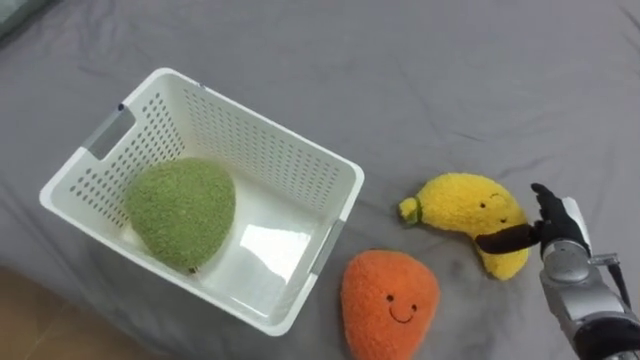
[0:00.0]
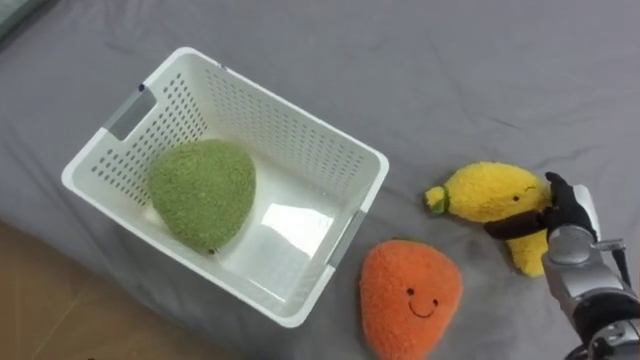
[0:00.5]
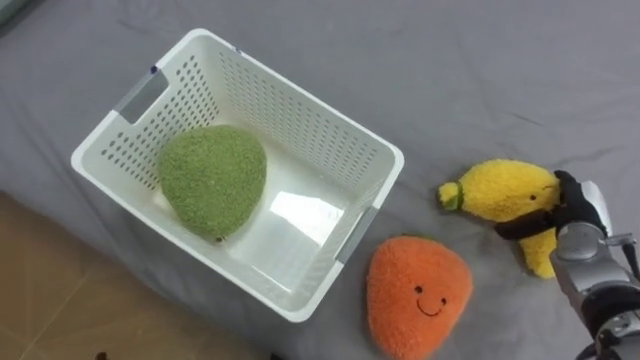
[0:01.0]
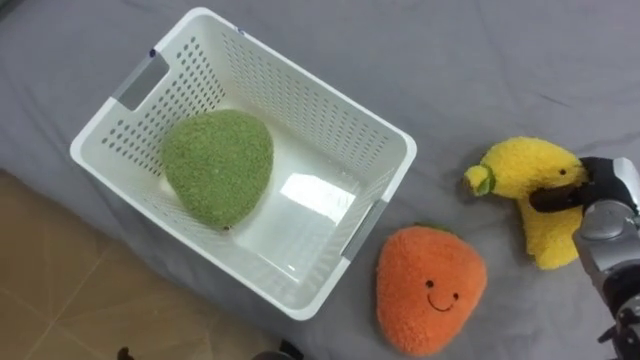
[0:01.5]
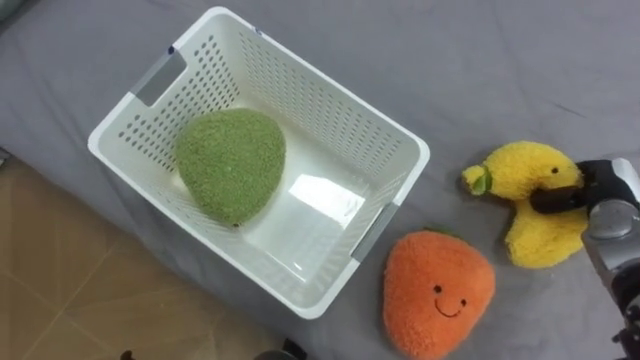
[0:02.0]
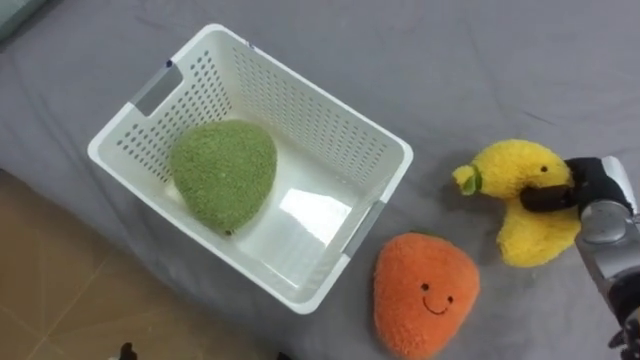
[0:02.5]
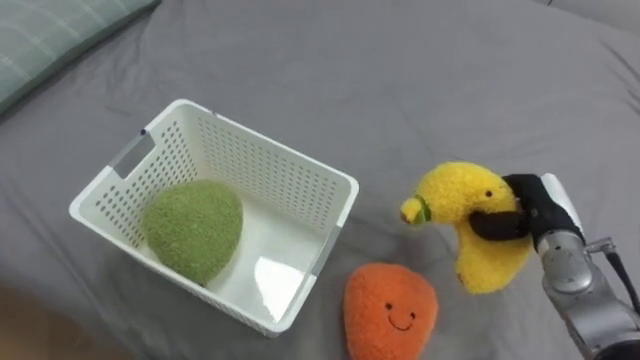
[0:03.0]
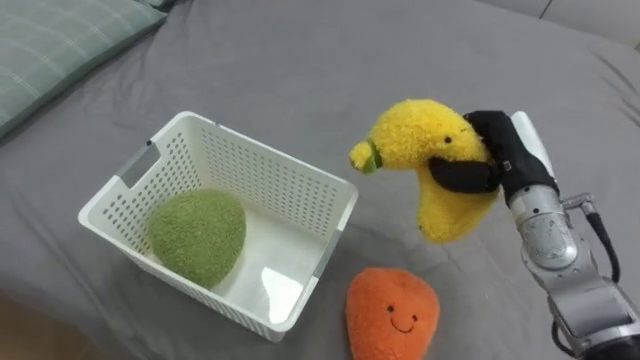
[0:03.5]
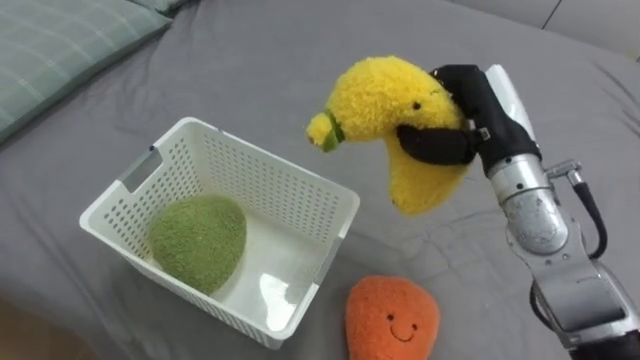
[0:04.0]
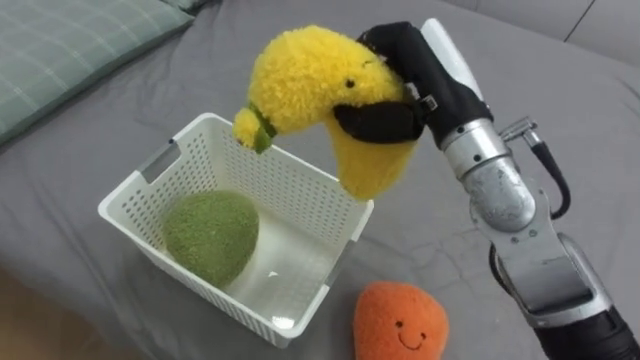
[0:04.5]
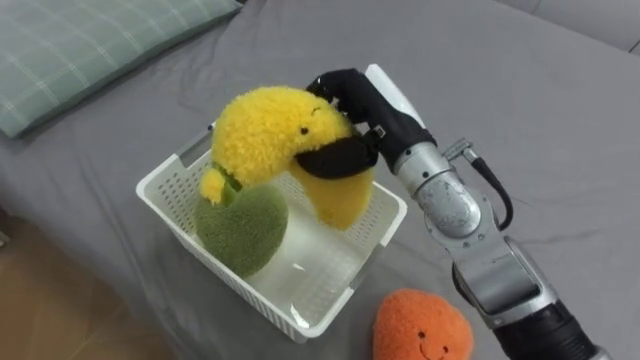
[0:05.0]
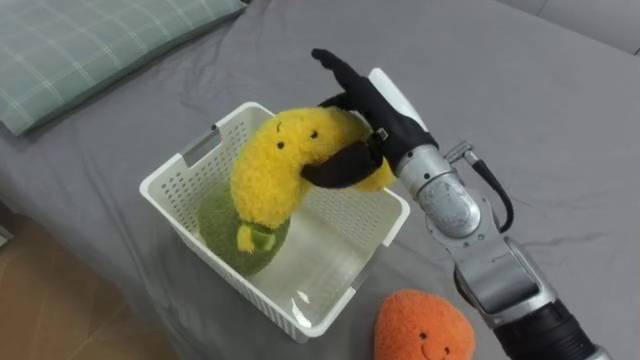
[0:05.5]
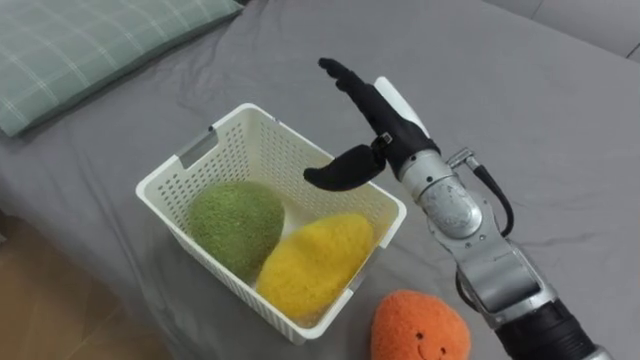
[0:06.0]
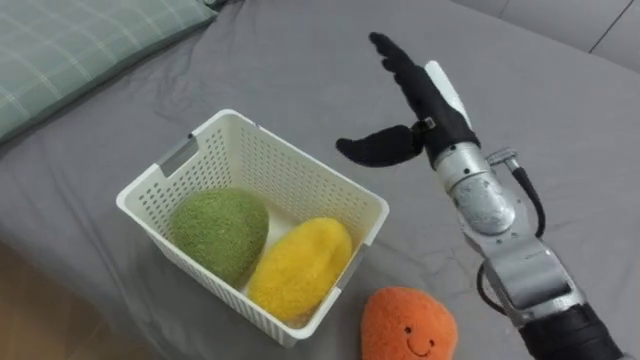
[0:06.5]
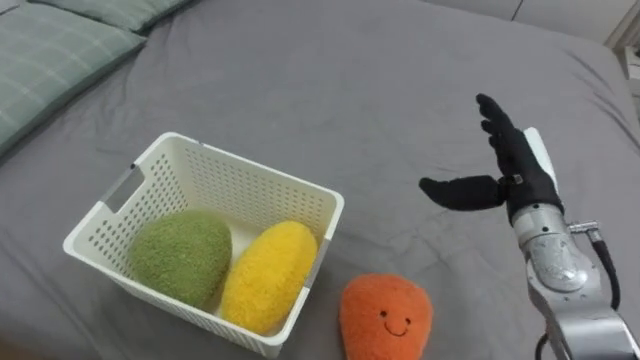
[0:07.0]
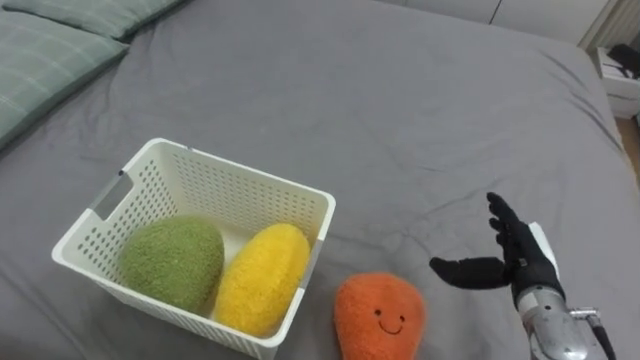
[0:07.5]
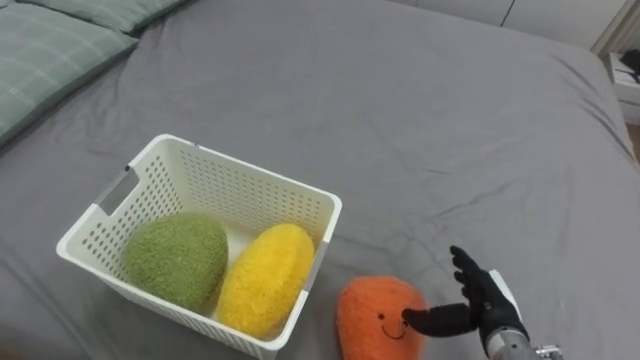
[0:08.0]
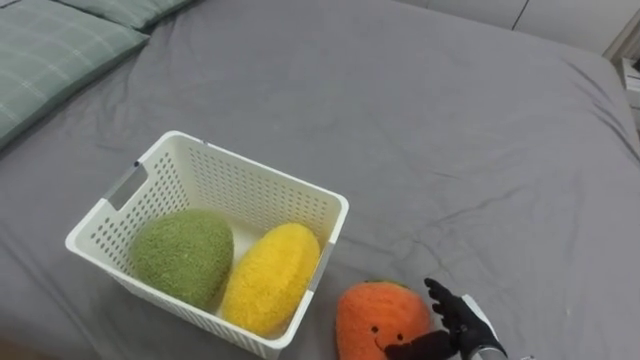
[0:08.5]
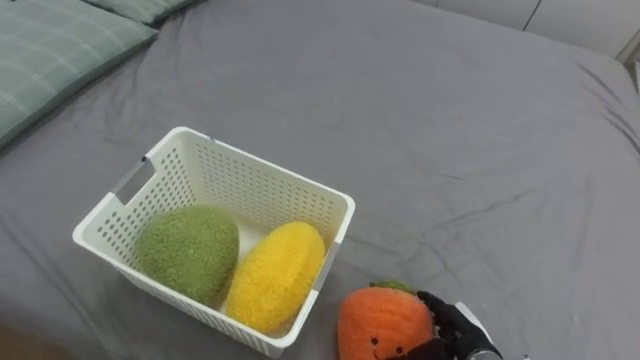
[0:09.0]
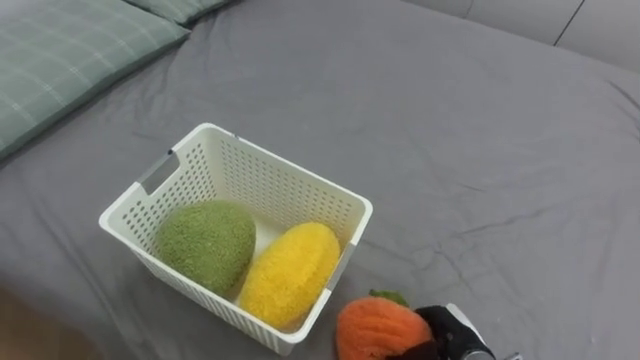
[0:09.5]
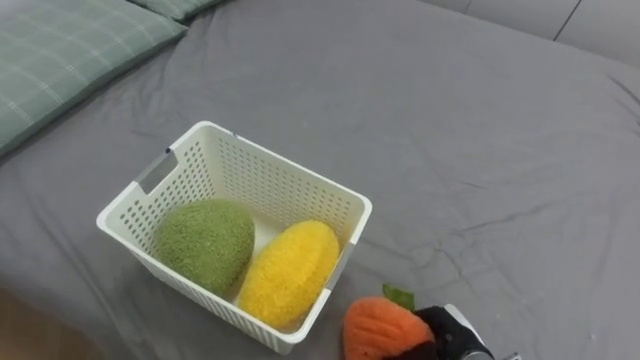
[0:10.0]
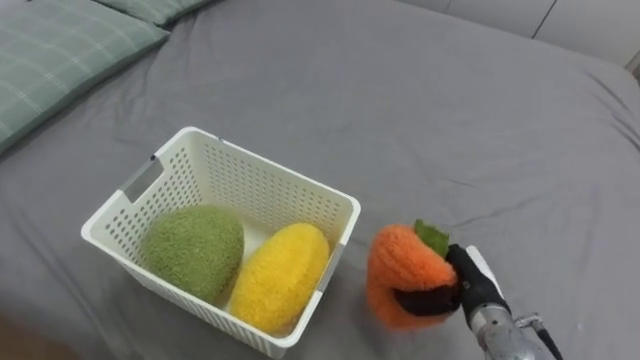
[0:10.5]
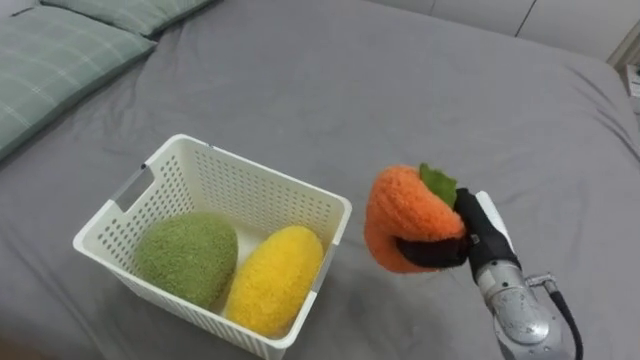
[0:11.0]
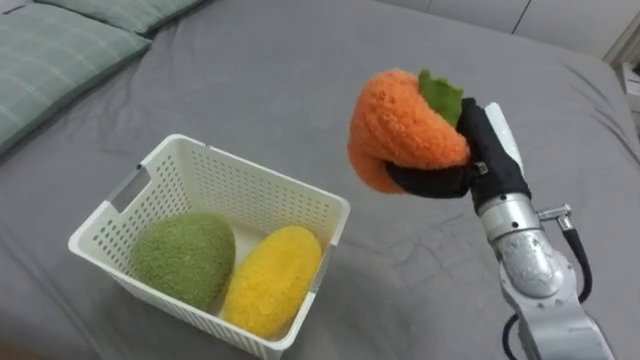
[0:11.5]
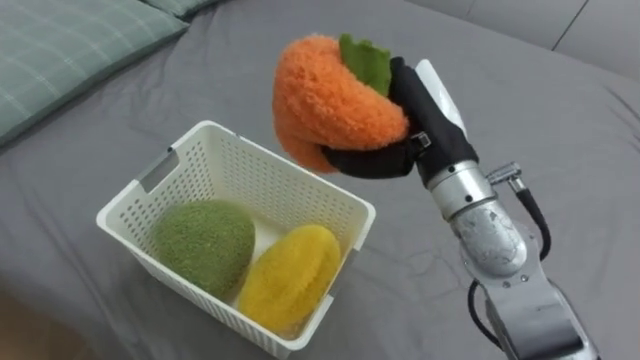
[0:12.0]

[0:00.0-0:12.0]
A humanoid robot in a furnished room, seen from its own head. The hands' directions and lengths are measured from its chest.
Task of the whole recording: Put the toys on the bed into the basket on the left.
0:00.0 to 0:02.0: The right hand moves to the right, about 5 cm, and closes its fingers.
0:02.0 to 0:04.0: The right hand shifts about 25 cm to the left and upward.
0:04.0 to 0:06.0: The right hand moves to the left, roughly 10 cm, and opens.
0:06.0 to 0:08.0: The right hand goes roughly 30 cm downward, to the right and backward.
0:08.0 to 0:10.0: The right hand shifts roughly 5 cm downward, and closes up.
0:10.0 to 0:12.0: The right hand moves upward, some 30 cm.

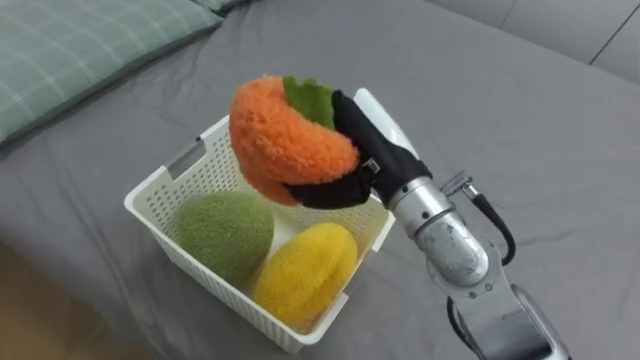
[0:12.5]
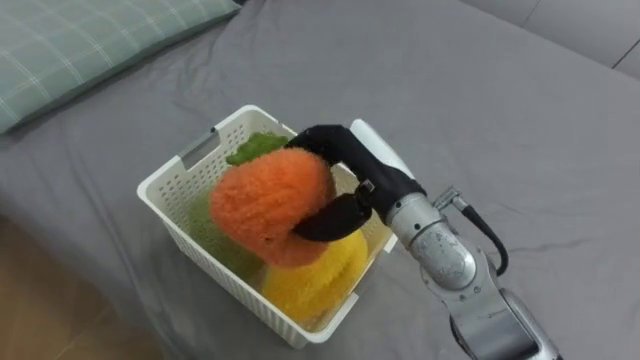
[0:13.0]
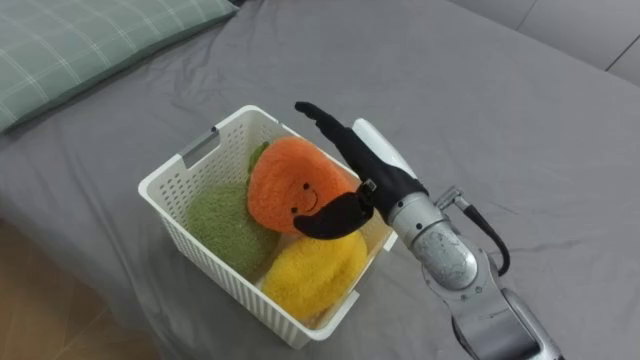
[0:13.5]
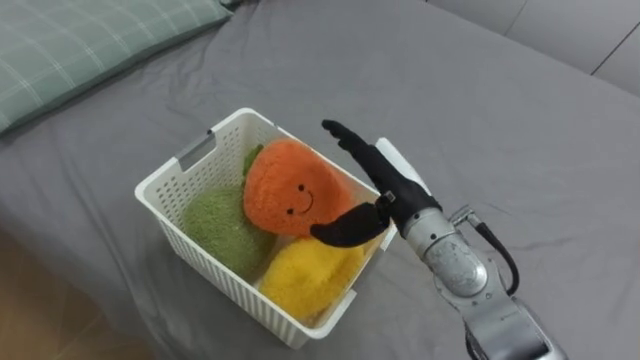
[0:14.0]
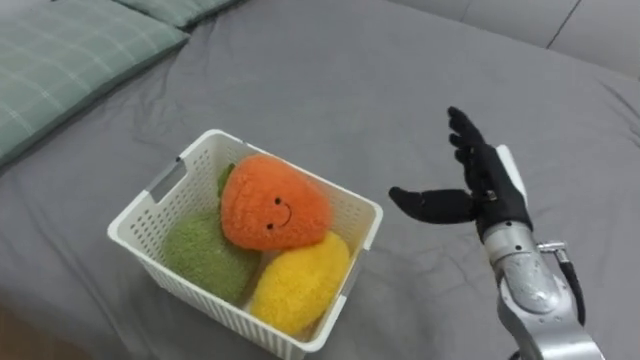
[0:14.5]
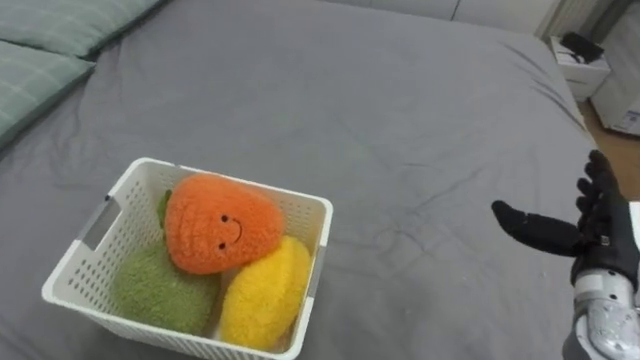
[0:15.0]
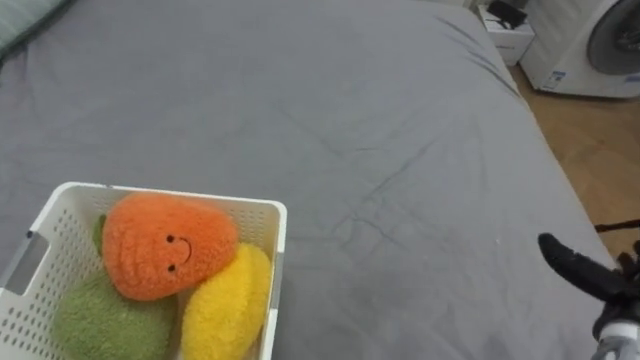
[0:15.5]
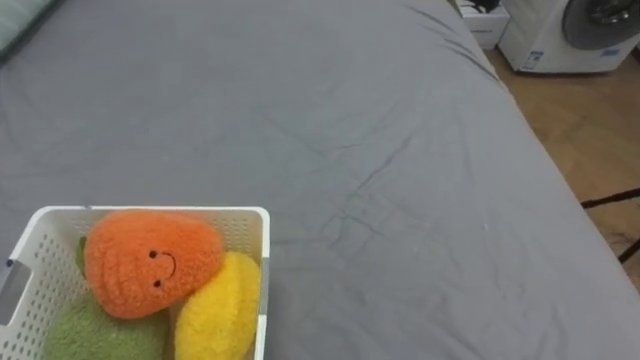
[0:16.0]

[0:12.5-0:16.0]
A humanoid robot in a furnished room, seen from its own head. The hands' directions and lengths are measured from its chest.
Task of the whole recording: Put the toys on the bed into the basket on the left.
0:12.5 to 0:14.5: The right hand heads to the right and downward, covering some 15 cm, and opens its fingers.

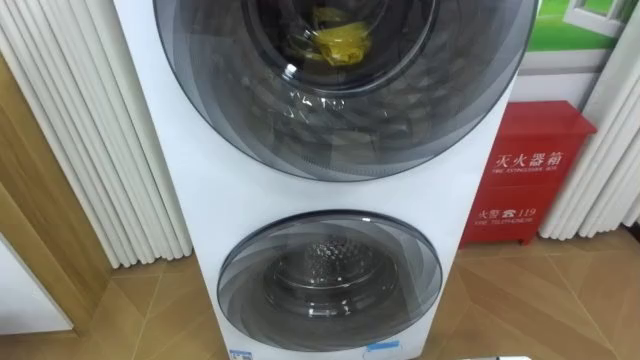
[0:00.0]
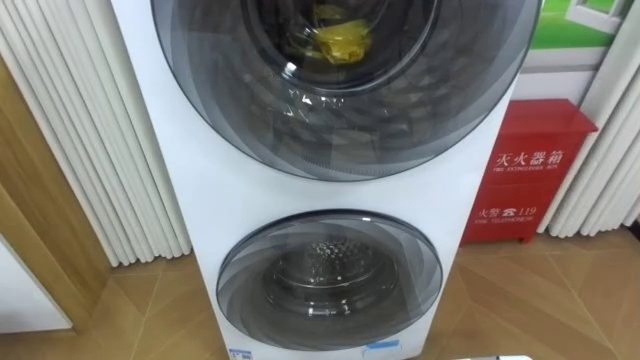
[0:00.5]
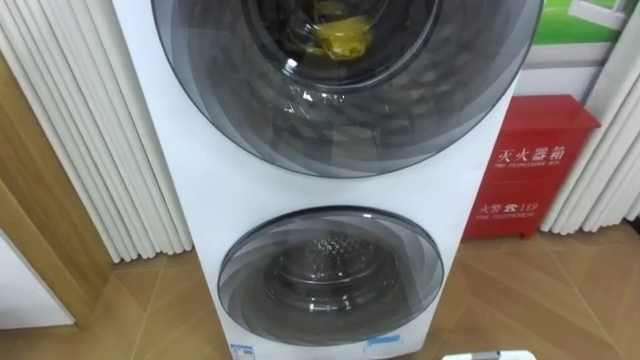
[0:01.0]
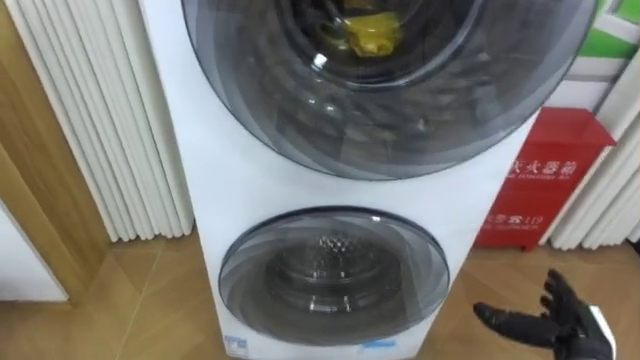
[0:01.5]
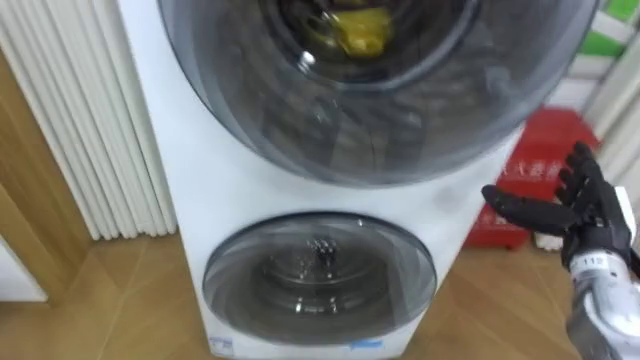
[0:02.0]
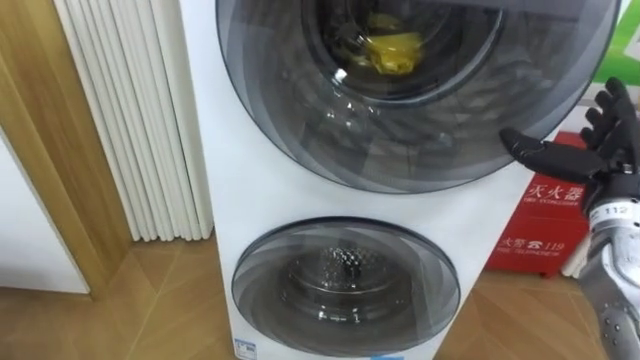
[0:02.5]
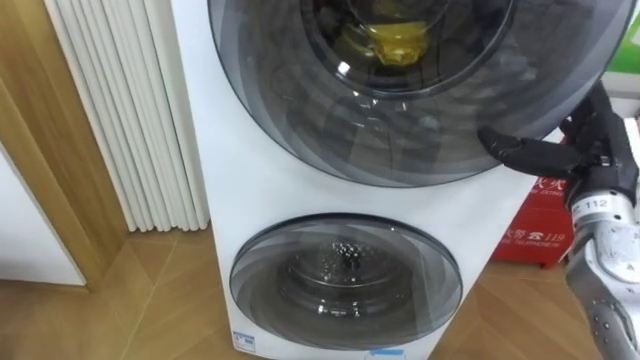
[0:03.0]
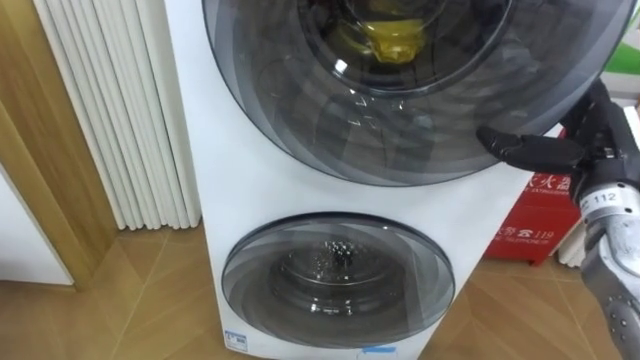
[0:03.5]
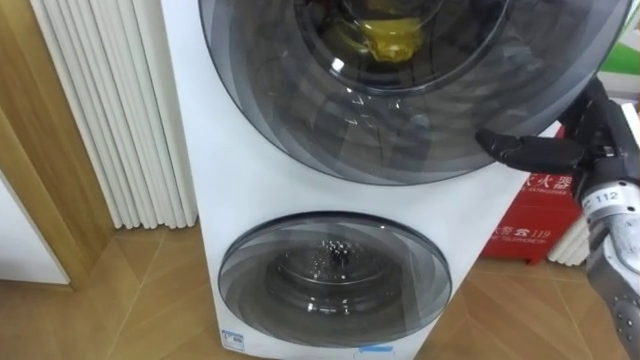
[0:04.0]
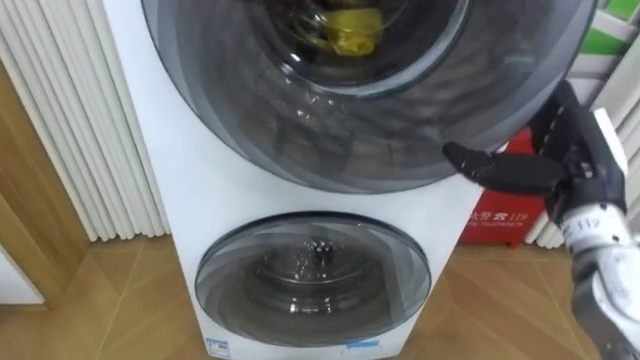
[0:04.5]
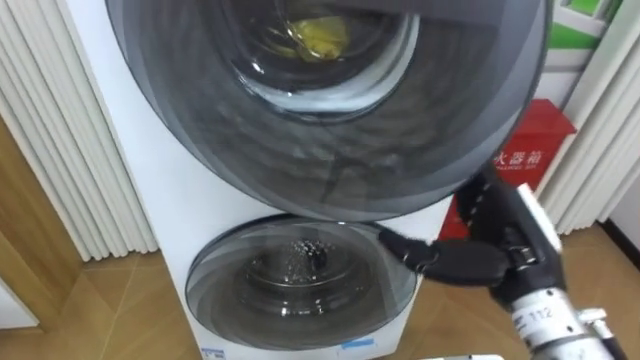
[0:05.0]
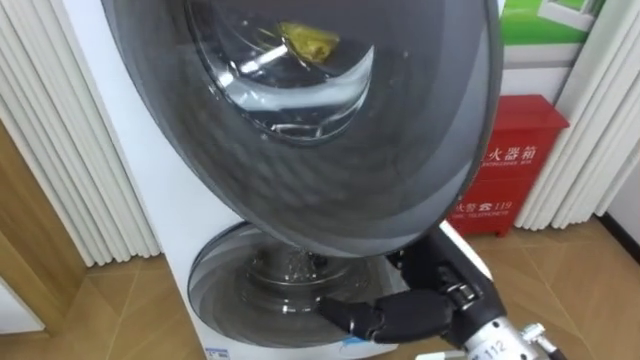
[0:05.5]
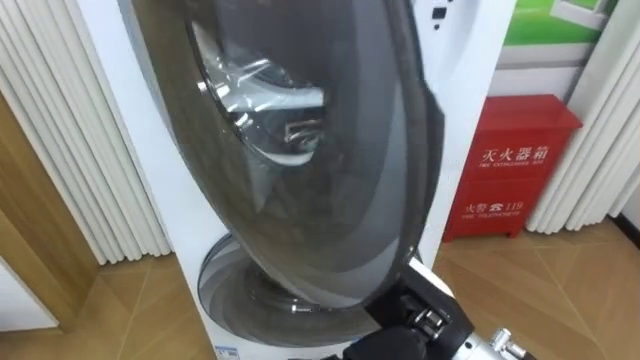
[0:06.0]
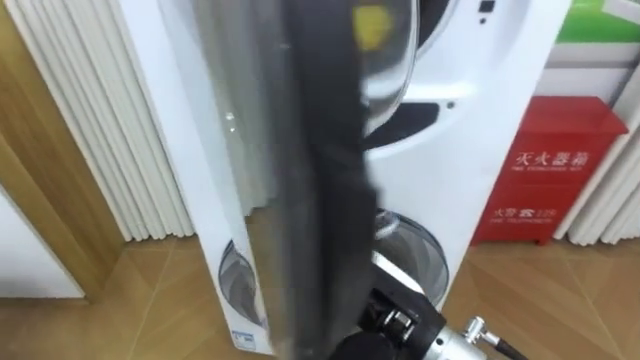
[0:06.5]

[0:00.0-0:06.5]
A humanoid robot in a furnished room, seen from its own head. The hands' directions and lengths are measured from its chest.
Task of the whole recording: Open the washing machine door, take out the yellow clothes, place them in the box on the right, and close the washing machine door.
0:02.0 to 0:04.5: The right hand heads upward and to the left, covering some 10 cm.
0:04.5 to 0:06.5: The right hand travels to the left and backward by roughly 20 cm.
